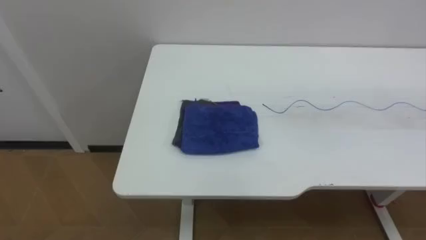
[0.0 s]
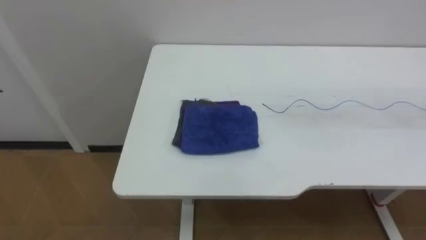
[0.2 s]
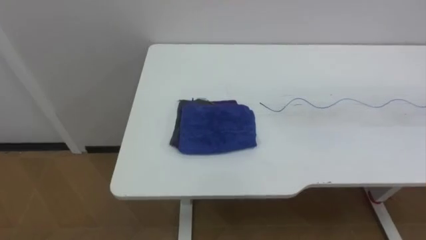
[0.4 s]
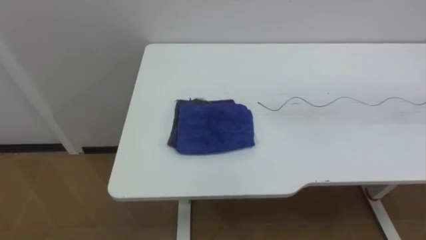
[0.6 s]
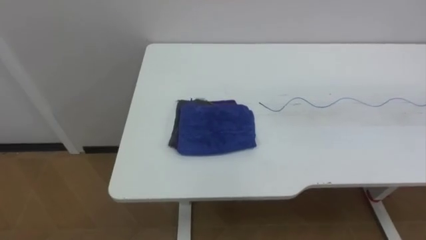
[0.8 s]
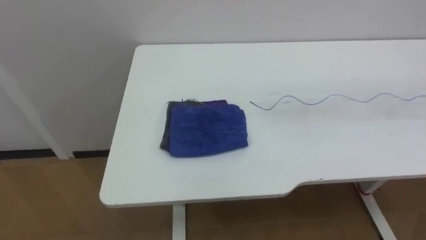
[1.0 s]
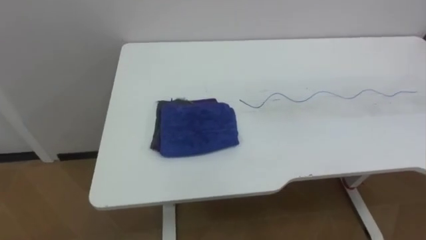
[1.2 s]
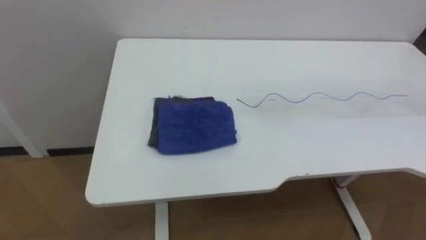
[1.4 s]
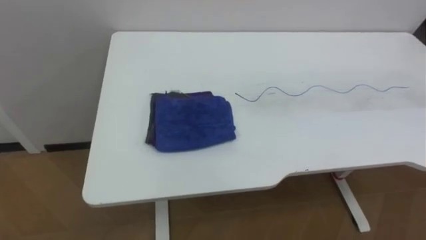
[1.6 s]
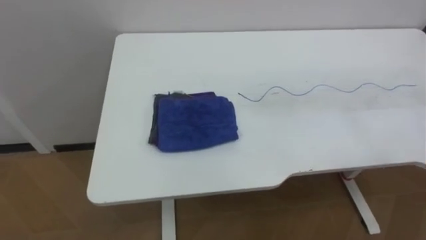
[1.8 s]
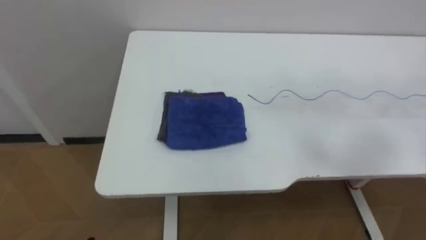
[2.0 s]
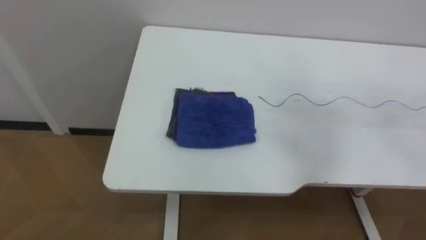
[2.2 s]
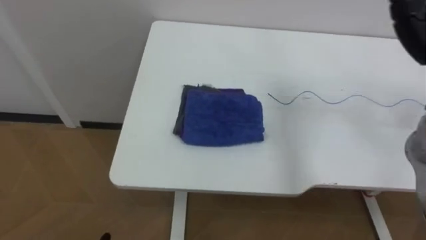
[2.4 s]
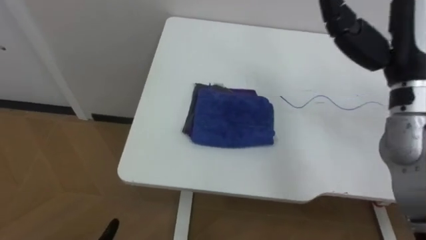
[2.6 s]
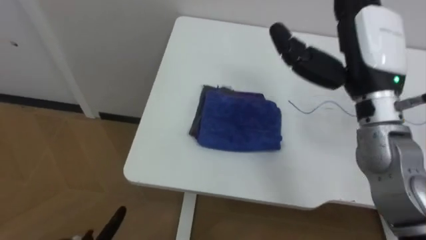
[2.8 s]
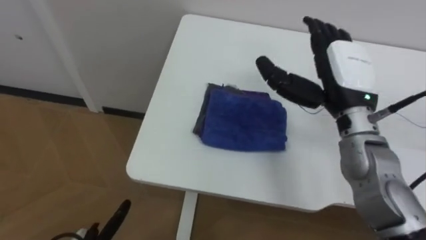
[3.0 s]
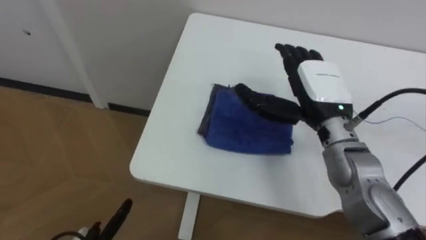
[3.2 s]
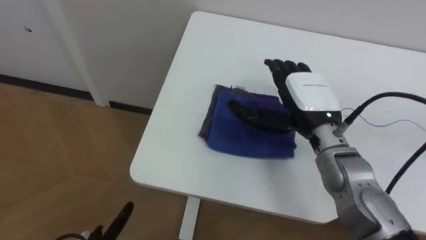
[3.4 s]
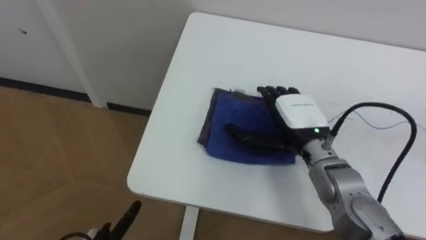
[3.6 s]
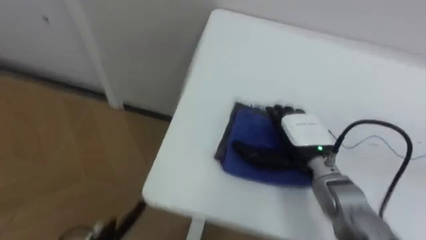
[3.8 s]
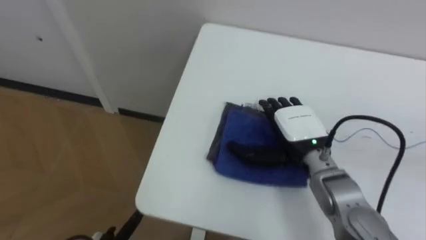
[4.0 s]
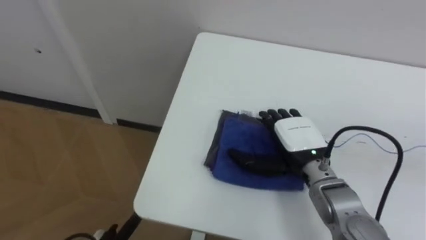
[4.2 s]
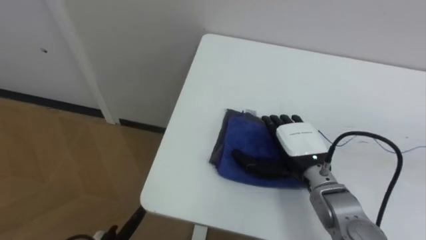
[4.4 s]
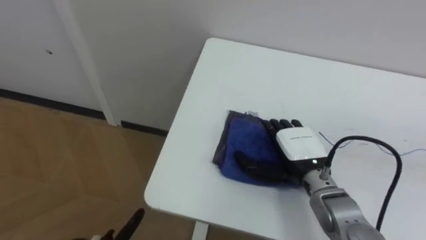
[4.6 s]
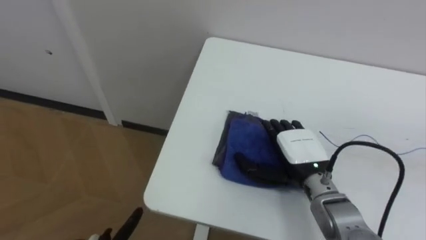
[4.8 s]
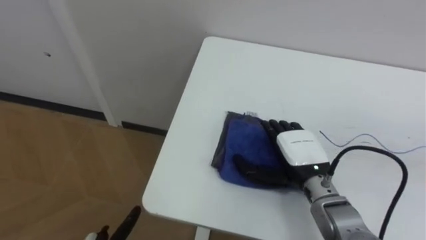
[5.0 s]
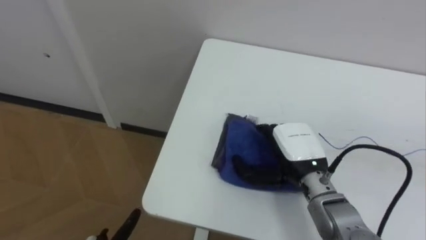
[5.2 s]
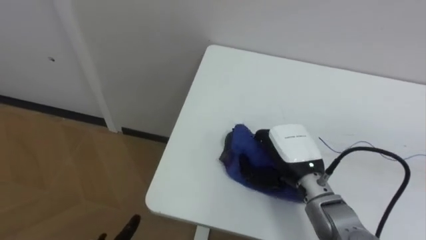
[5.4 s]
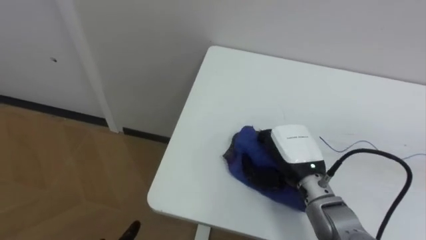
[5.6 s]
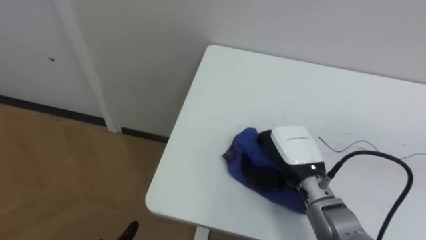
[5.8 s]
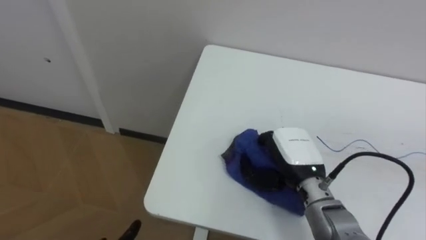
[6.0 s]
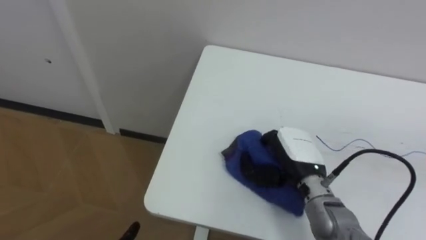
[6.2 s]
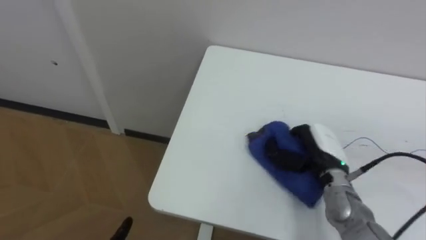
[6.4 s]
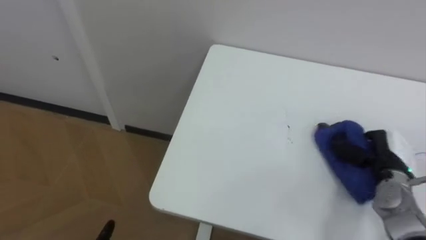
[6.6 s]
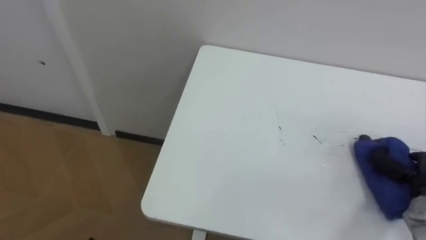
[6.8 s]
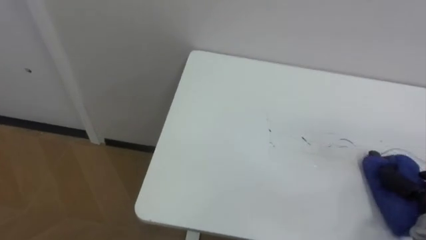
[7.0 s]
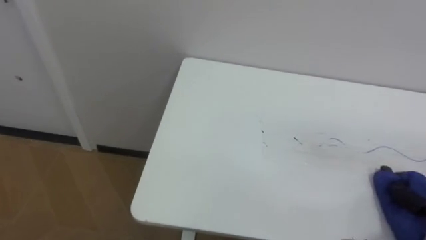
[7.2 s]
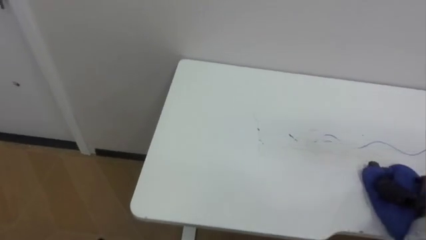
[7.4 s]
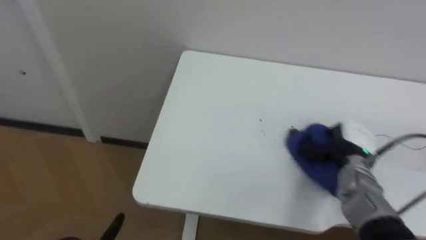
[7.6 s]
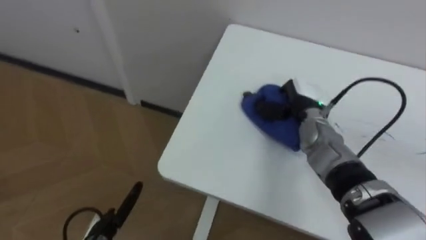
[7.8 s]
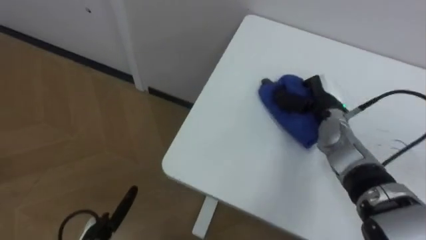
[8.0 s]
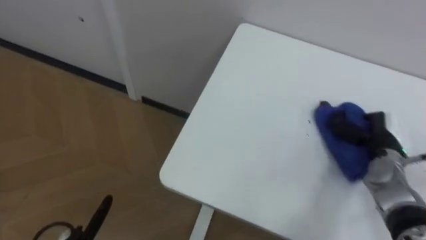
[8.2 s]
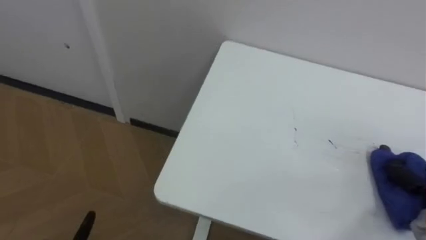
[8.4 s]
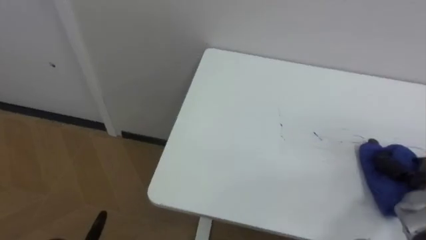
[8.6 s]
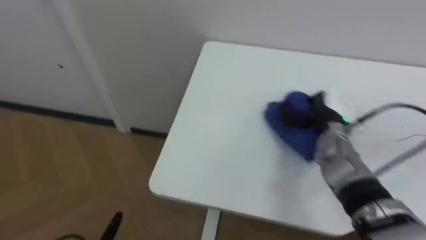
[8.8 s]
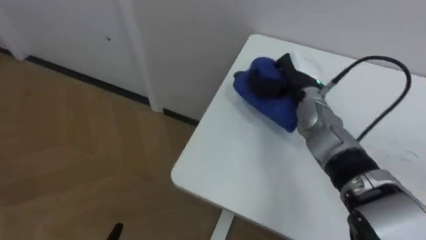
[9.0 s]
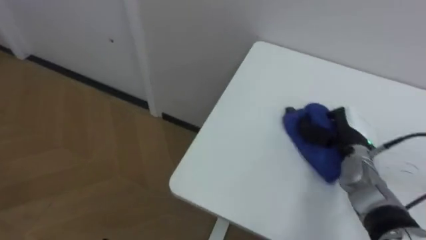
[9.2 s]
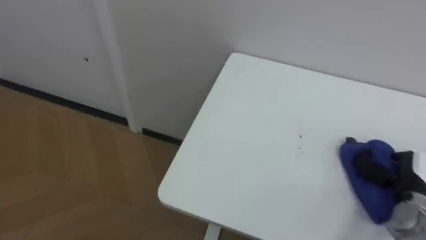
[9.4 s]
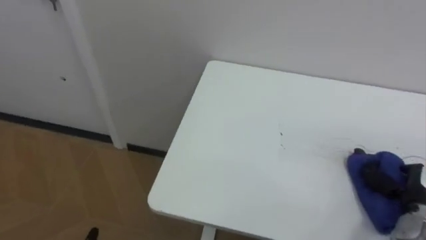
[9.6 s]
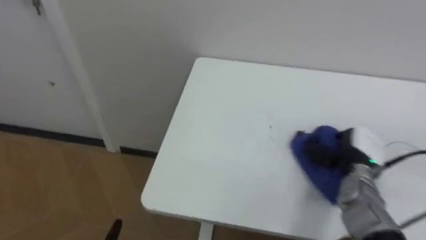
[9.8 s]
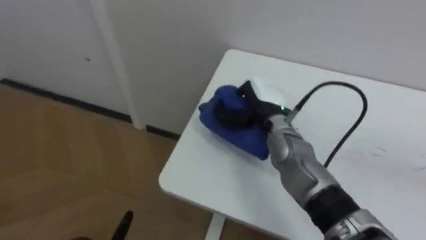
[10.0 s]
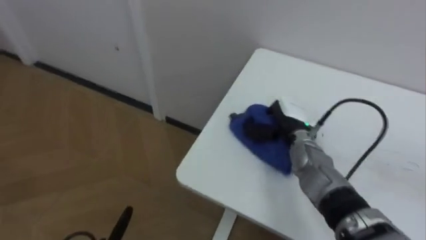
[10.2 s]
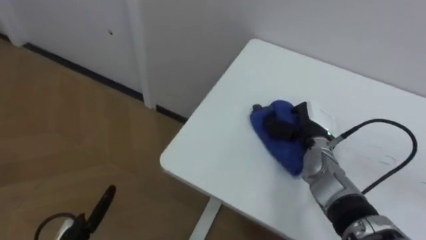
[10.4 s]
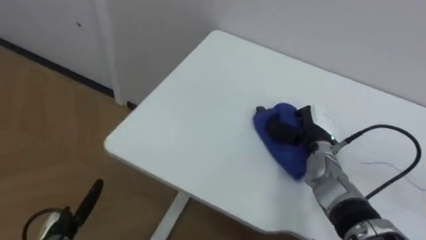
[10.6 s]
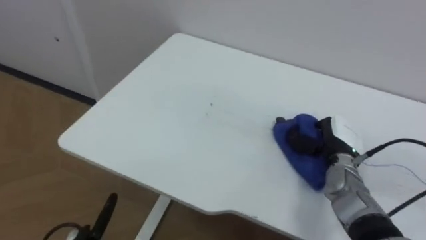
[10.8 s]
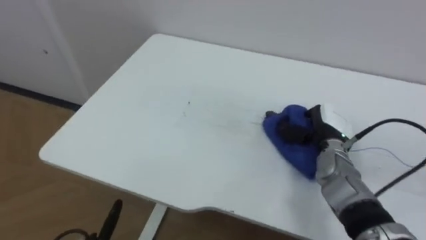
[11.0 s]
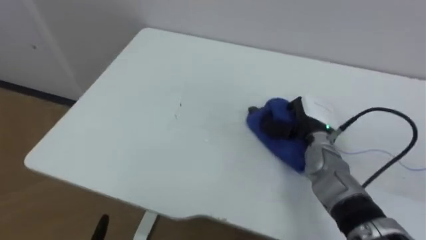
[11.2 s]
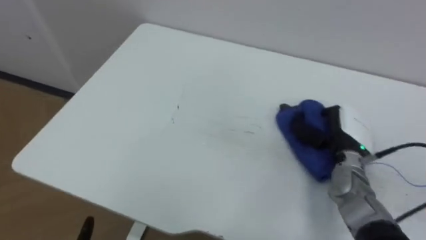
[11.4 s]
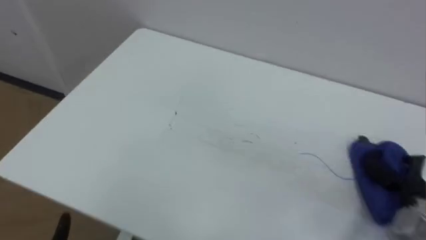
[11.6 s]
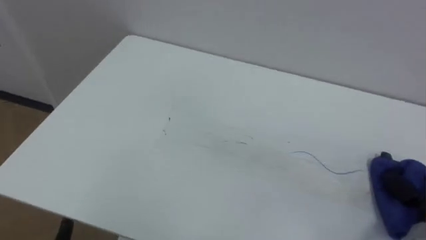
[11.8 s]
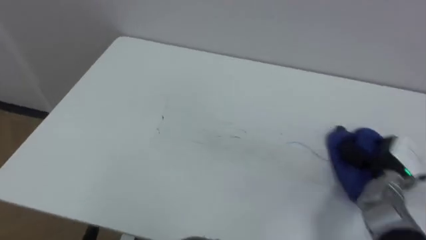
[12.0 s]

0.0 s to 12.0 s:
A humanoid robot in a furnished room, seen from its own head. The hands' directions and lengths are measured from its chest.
Task of the whole recording: Wipe the blue pen marks off the table with the rag.
3.0 to 4.4 s: The right hand travels downward by roughly 15 cm.
4.4 to 6.0 s: The right hand closes up.
9.0 to 10.4 s: The right hand moves left and right over roughly 30 cm, changing direction 2 times.

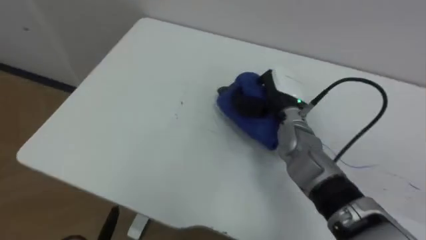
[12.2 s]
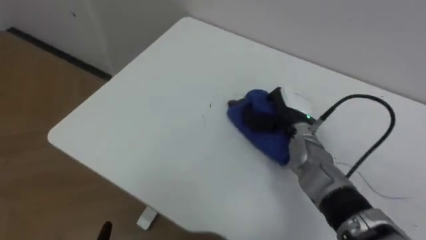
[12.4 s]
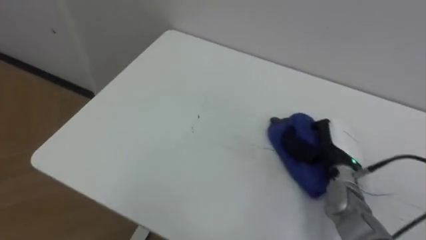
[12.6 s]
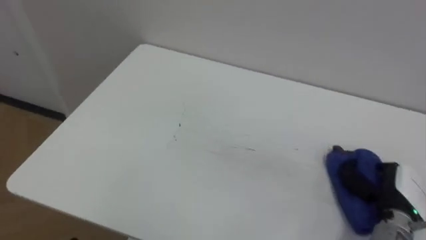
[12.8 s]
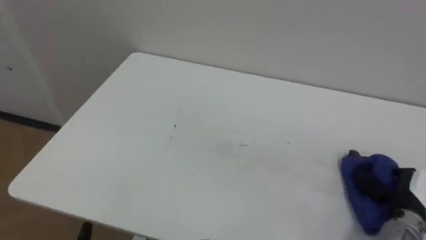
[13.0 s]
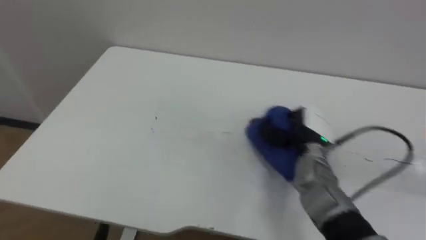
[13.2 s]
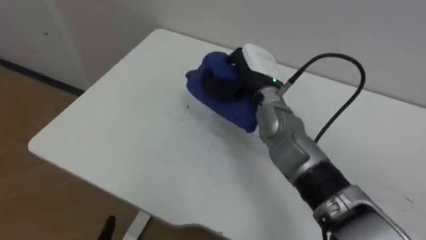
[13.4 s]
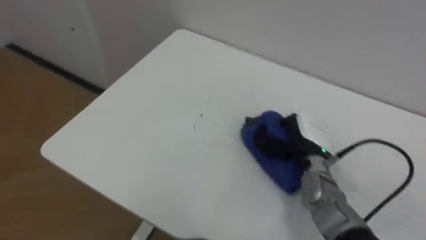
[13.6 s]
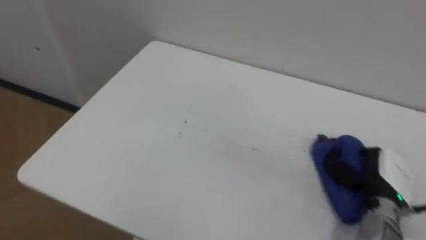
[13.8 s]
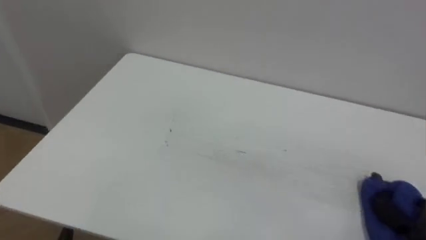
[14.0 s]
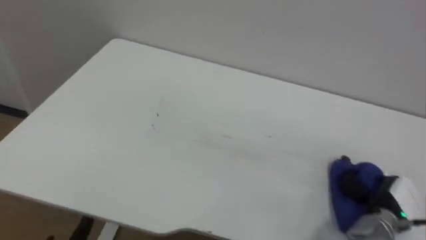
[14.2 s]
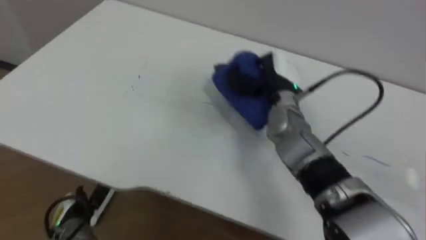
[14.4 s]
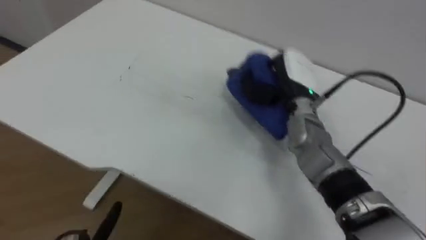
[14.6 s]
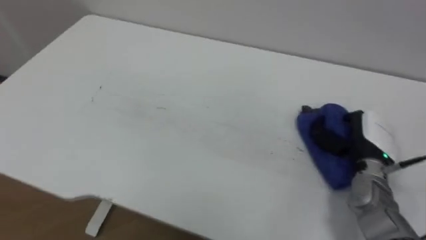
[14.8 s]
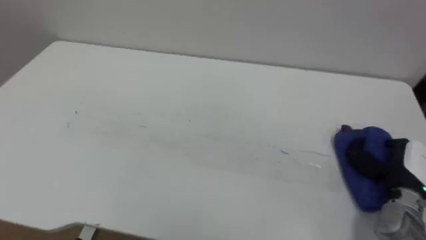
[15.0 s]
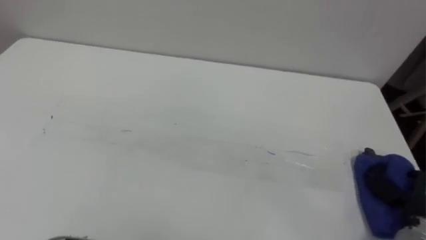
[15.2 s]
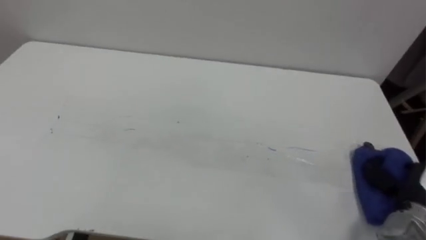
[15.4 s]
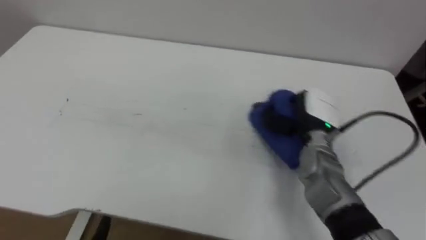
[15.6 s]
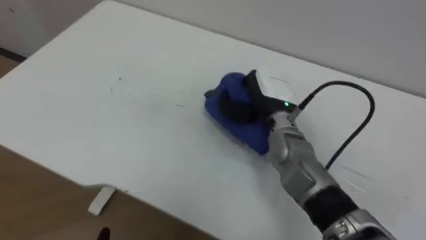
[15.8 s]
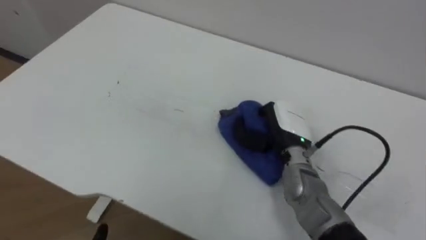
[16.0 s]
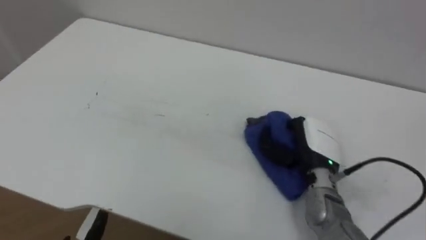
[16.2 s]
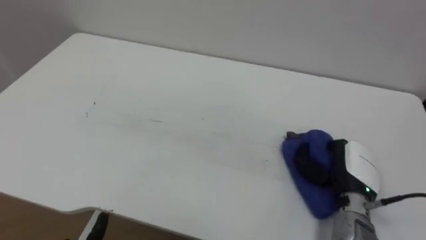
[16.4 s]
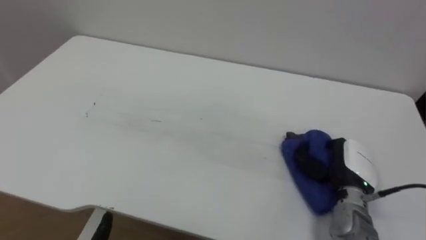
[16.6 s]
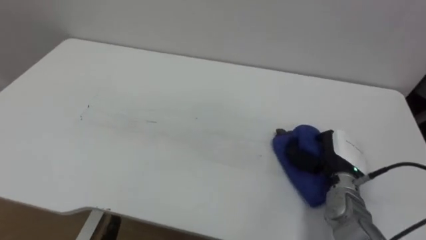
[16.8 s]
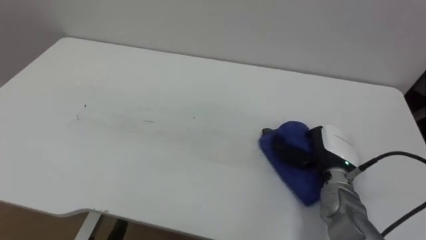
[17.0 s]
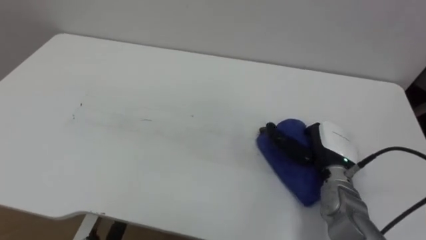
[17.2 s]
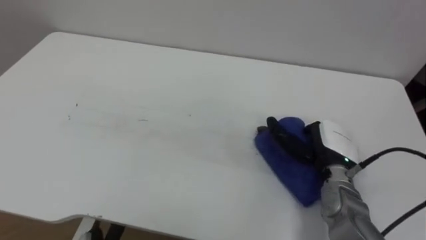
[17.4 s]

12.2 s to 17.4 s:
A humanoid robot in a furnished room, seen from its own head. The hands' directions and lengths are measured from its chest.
Task of the whole recording: Wipe the blue pen marks off the table with the rag.
12.2 to 14.0 s: The right hand swings left and right, some 30 cm each way, with 2 reversals.
14.0 to 15.6 s: The right hand goes left and right, approximately 25 cm each way, reversing 2 times.
15.6 to 17.4 s: The right hand goes left and right, about 15 cm each way, reversing 2 times, and opens its fingers.
